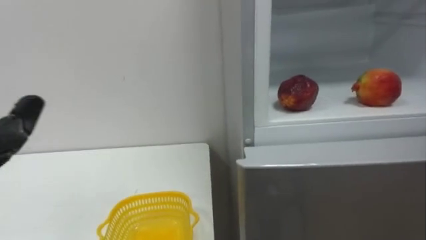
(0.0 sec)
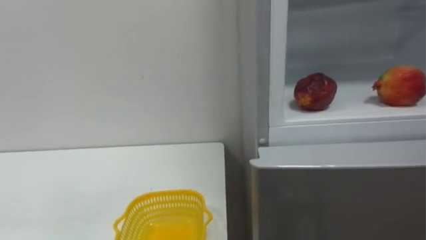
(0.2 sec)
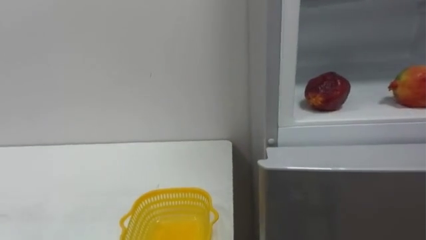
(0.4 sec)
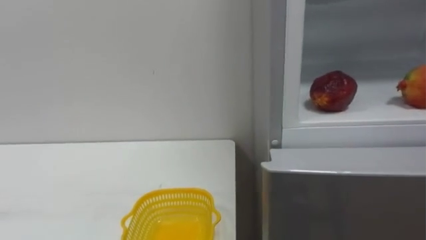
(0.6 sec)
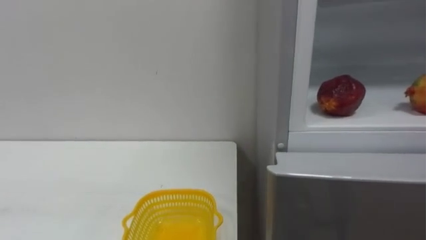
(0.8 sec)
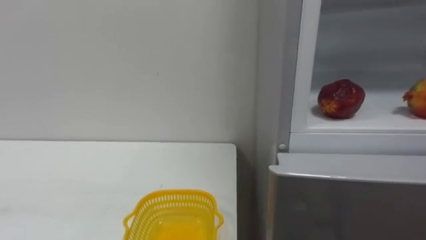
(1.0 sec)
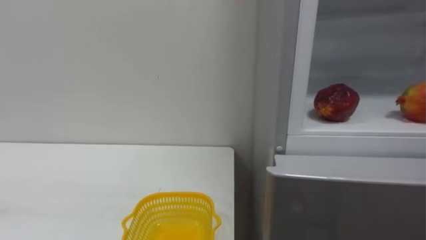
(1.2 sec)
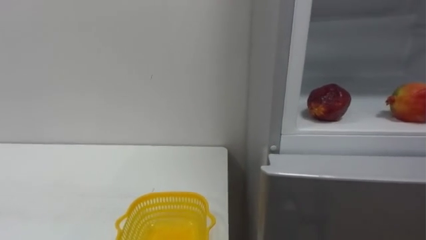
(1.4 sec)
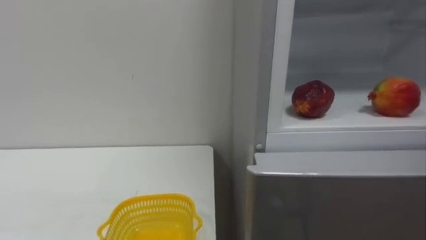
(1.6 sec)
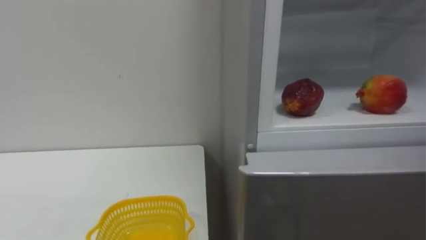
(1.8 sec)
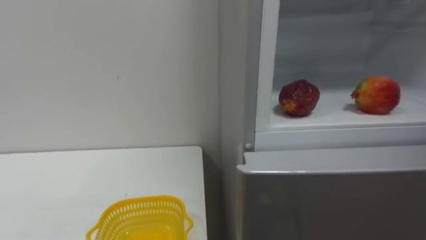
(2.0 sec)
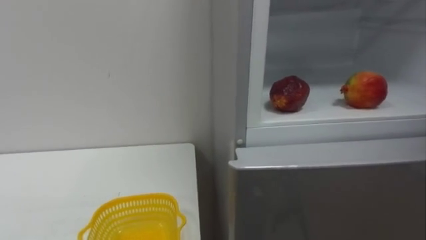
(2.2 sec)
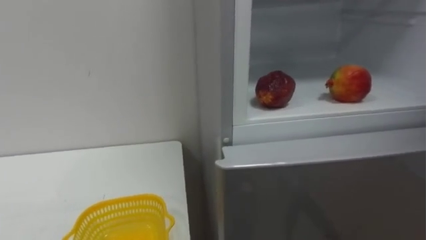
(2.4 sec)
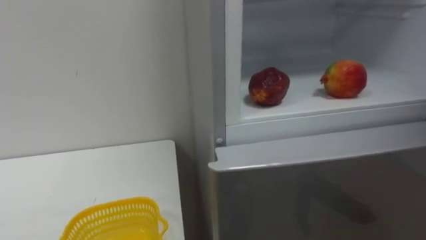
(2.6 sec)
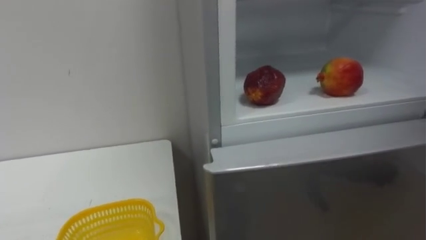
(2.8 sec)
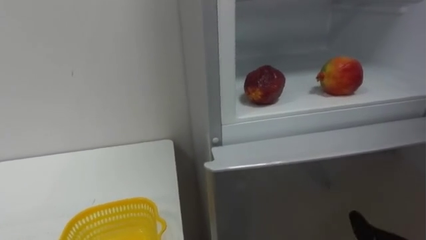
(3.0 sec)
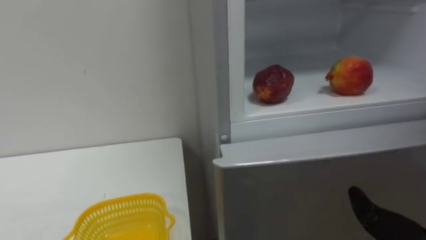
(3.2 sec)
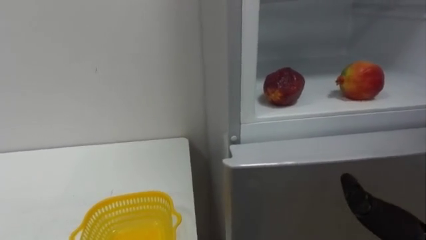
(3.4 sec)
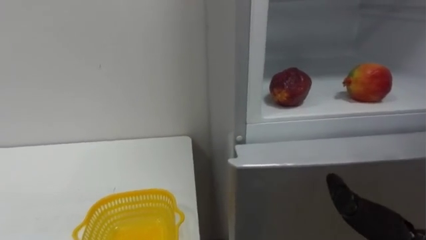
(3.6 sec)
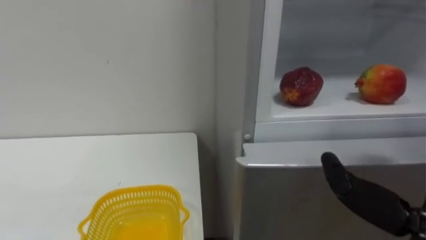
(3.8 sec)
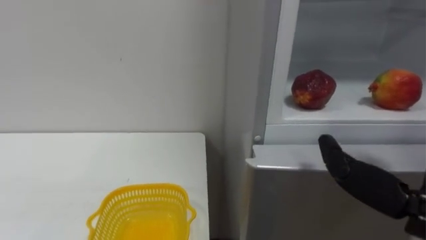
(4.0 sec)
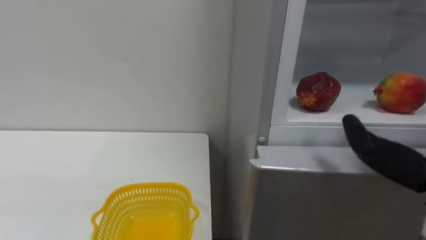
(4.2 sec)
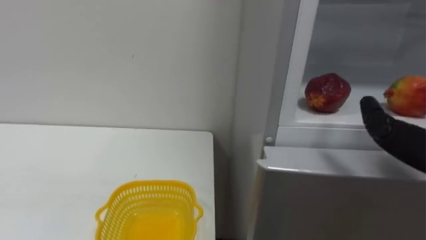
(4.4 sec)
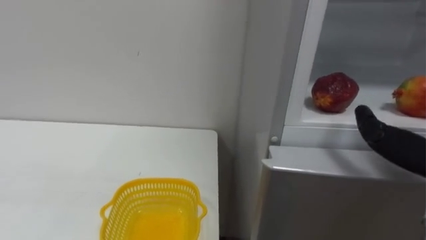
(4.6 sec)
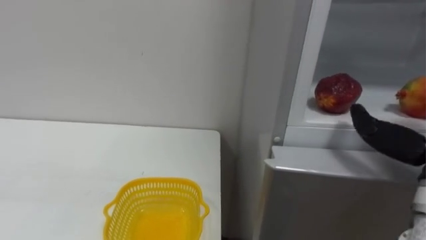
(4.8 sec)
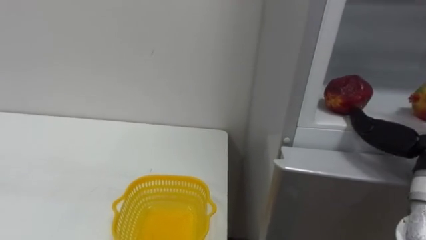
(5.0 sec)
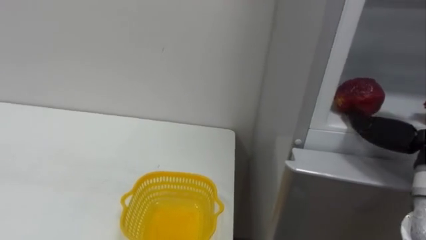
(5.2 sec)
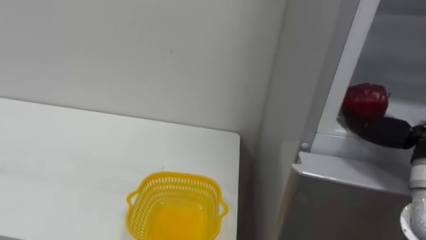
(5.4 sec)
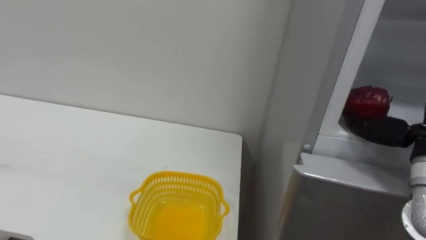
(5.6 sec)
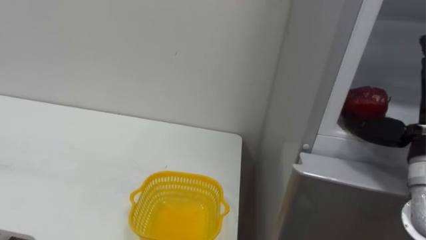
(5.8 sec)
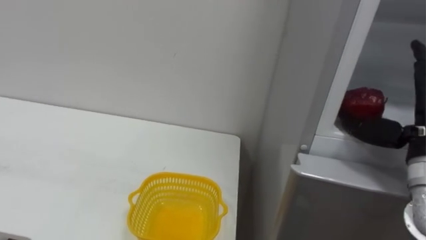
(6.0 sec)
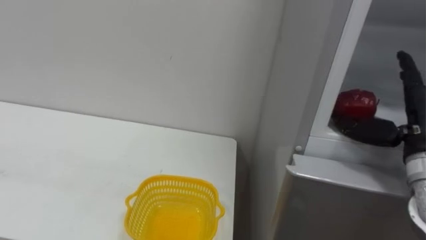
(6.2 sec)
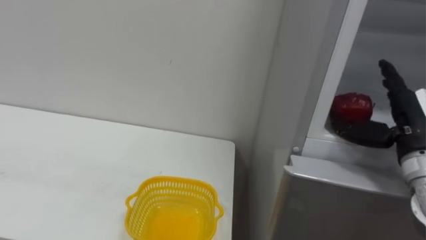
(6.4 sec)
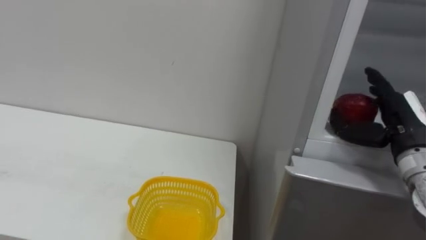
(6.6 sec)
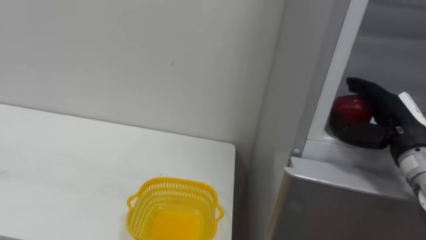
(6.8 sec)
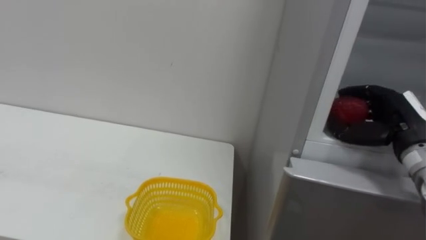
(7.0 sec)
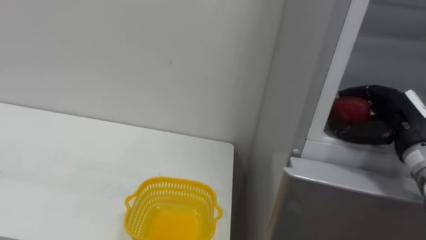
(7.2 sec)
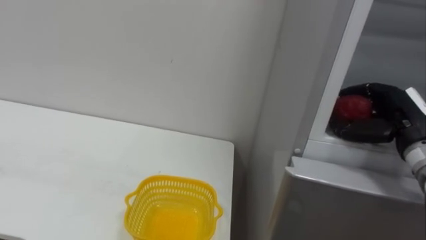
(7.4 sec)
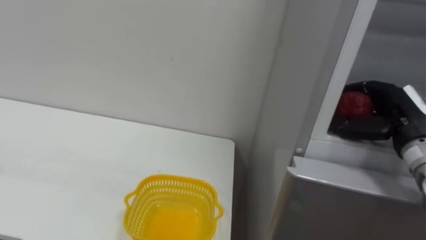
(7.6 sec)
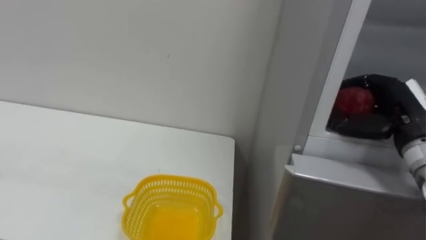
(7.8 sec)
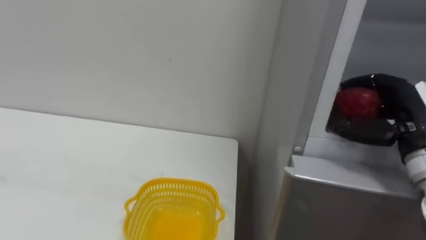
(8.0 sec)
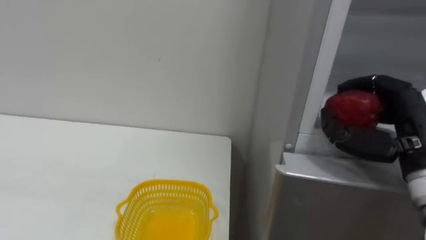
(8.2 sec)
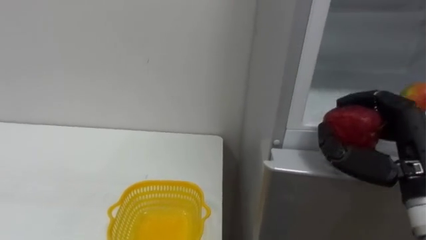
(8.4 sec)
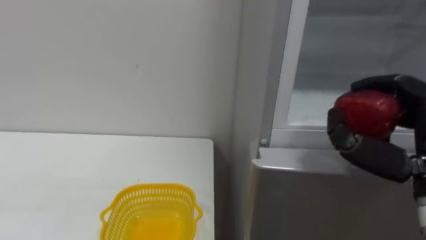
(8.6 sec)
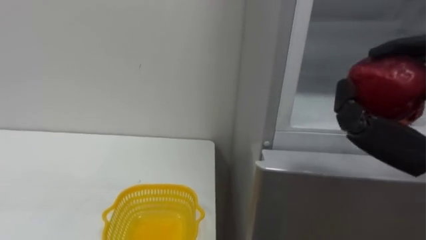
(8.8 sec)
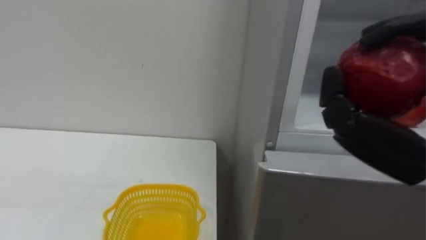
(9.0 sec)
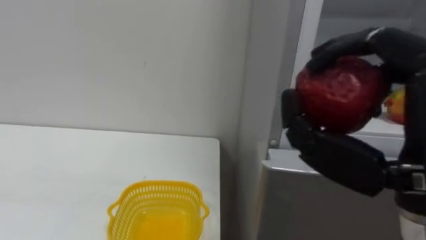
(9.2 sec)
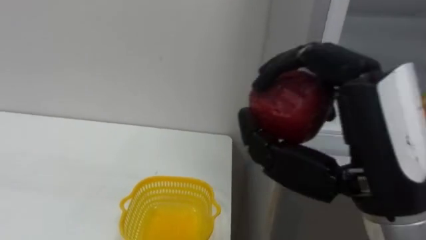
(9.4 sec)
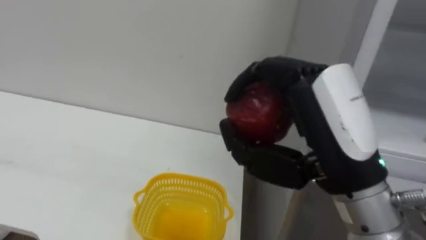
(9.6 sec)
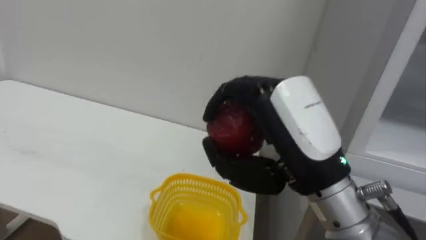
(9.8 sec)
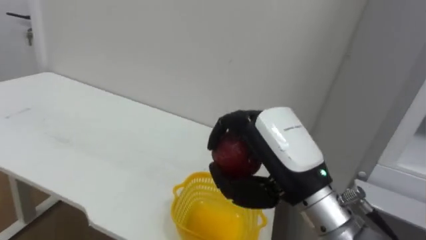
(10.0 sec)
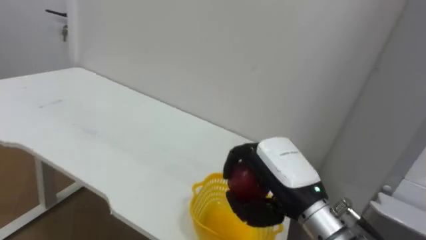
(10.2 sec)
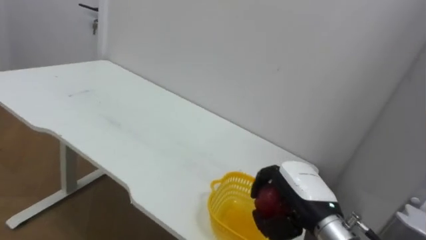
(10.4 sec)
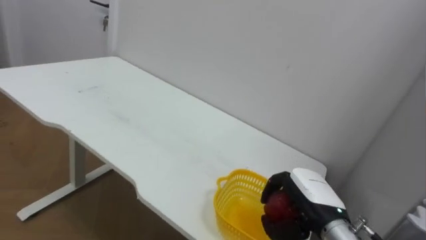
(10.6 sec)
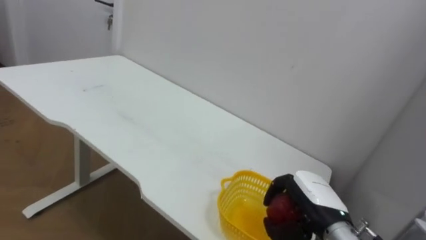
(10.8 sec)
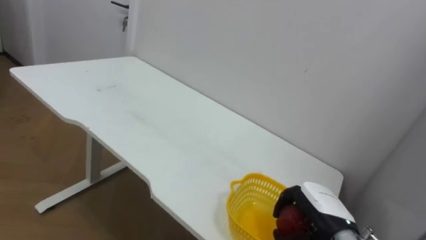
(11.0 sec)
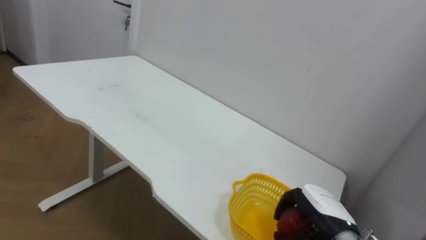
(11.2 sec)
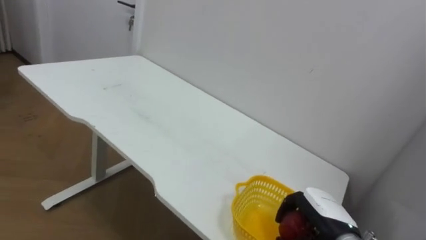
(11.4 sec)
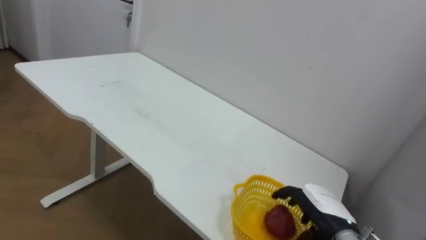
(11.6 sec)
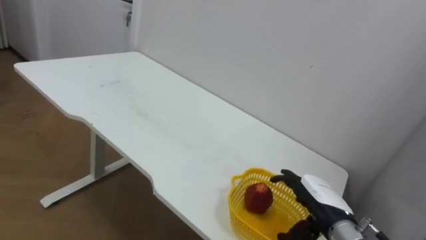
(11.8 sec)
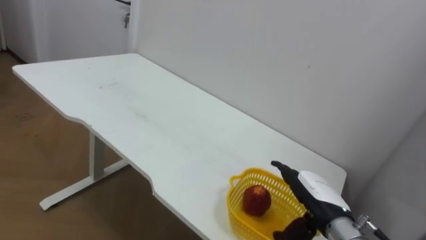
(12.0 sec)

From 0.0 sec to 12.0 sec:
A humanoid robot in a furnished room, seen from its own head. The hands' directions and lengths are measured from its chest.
Task of the whole recording: Open the refrigerator door, take out the apple and the pomegranate, place them in the fruit basket on the left, and close the refrigerator door.
From 6.0 sec to 7.6 sec: The right hand is displaced forward by approximately 5 cm, and closes its fingers.
From 10.4 sec to 12.0 sec: The right hand shifts approximately 5 cm downward, and opens its fingers.

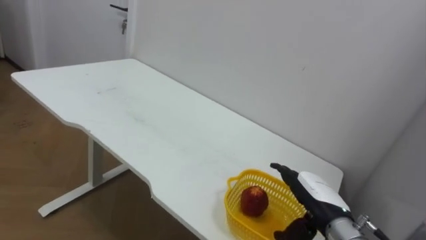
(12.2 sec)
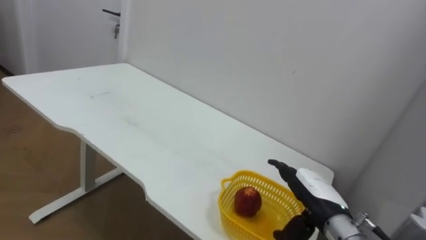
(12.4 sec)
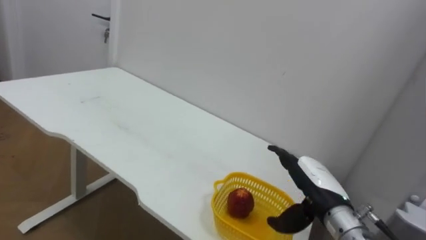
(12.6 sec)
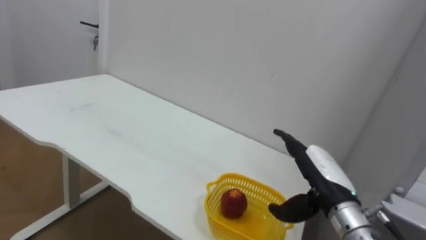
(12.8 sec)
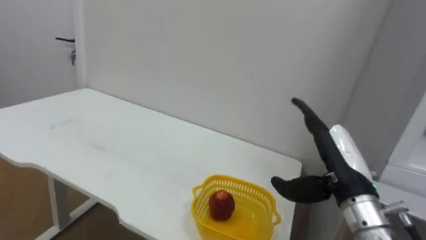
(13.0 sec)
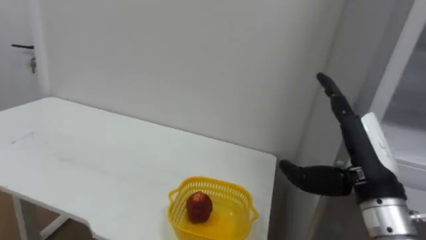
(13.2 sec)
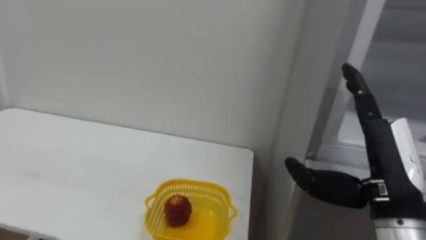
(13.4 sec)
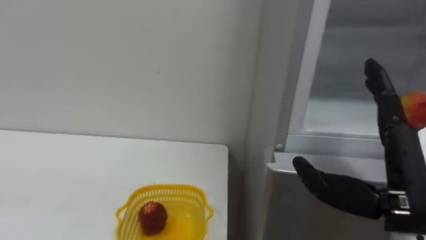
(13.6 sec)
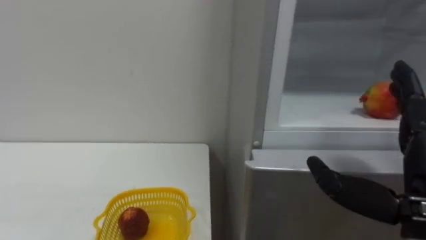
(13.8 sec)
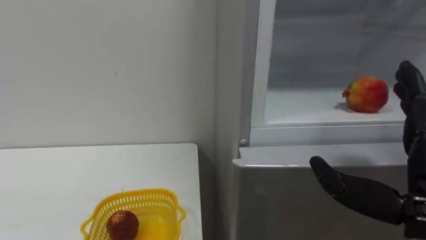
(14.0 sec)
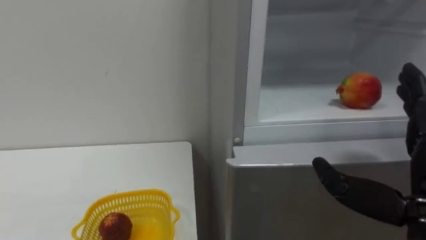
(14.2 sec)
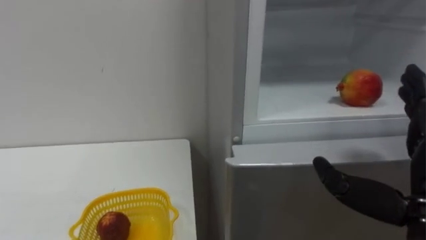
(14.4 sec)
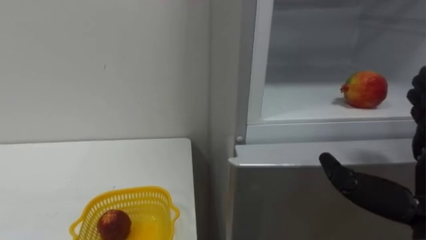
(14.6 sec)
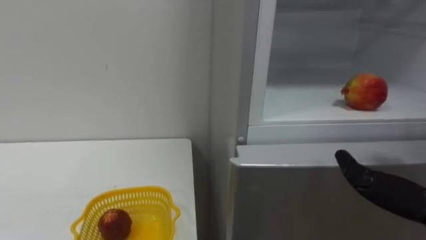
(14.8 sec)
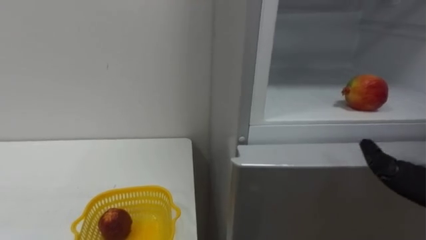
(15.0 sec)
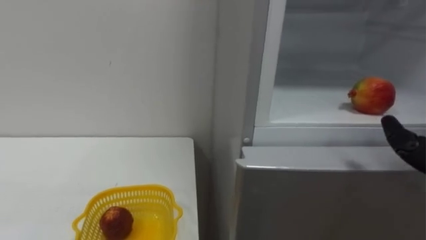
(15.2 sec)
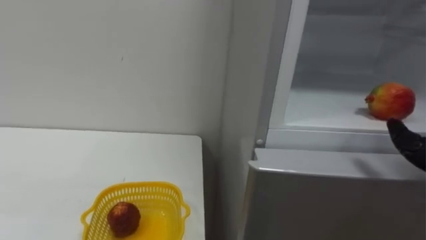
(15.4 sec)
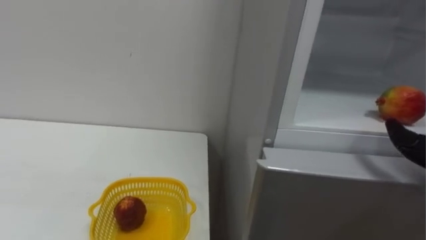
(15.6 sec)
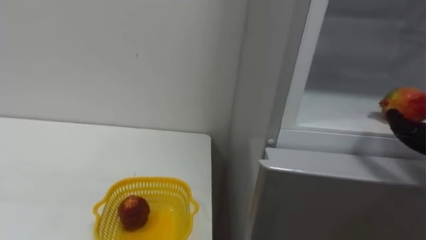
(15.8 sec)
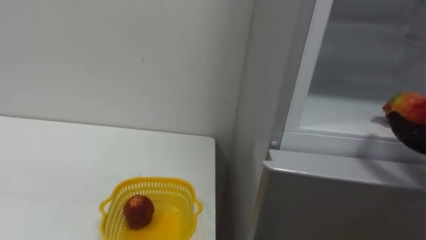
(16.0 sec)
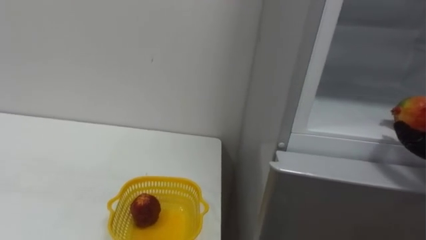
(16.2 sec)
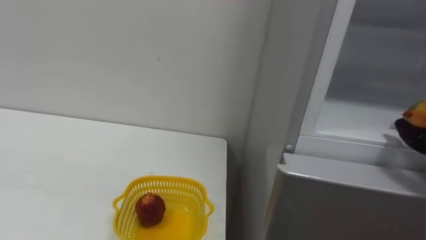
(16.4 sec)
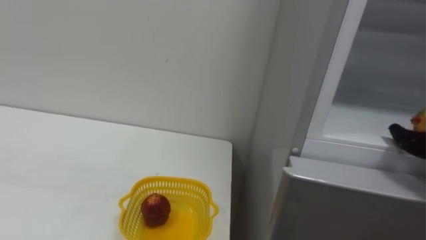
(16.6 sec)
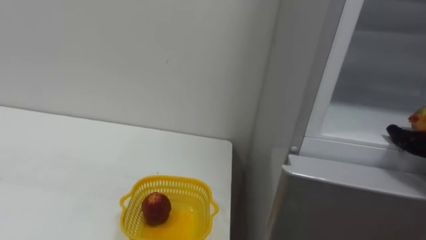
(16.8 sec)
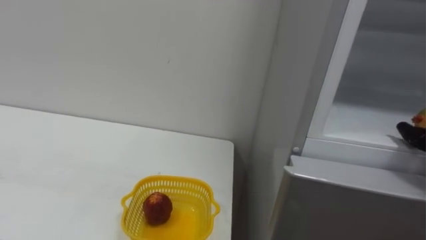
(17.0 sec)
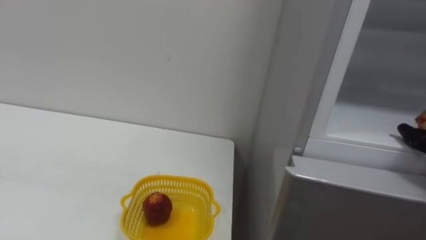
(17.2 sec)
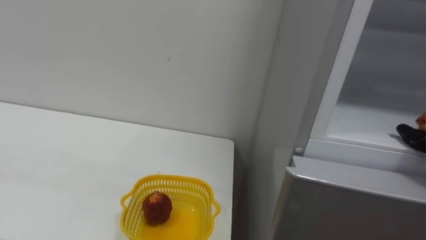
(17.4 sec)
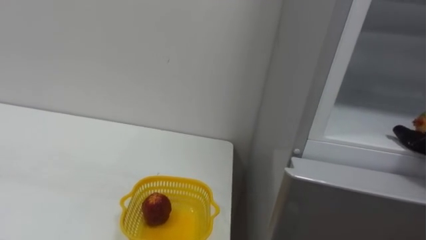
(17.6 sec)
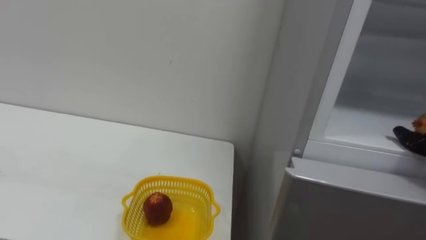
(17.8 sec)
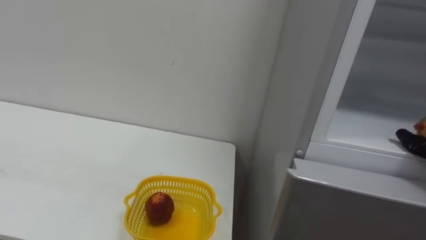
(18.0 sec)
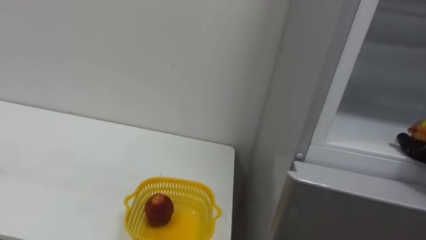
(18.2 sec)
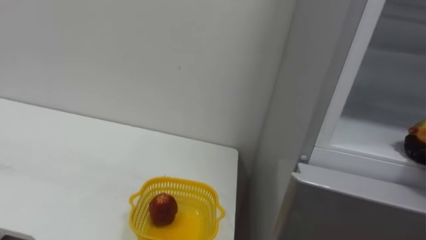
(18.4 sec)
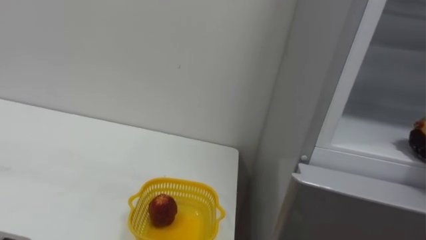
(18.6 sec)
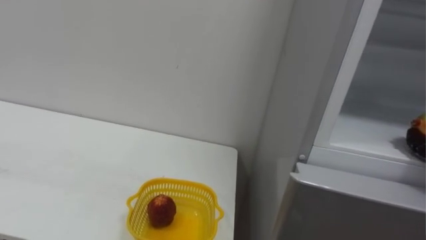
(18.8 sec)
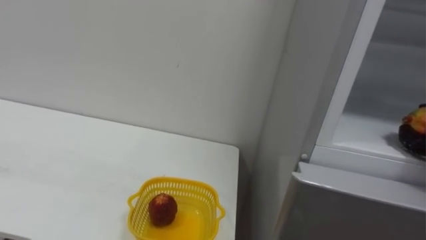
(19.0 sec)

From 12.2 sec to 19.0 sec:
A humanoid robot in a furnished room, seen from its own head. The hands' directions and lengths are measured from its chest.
Task of the whole recording: Open the refrigerator door, take out the apple and the pomegranate, place them in the fruit basket on the left, and close the refrigerator door.
From 12.2 sec to 13.6 sec: The right hand is displaced upward and backward by roughly 20 cm.
